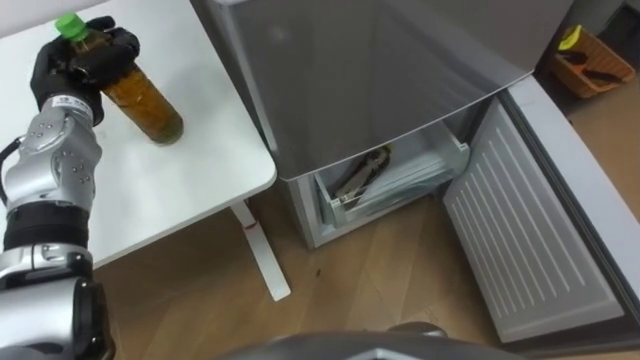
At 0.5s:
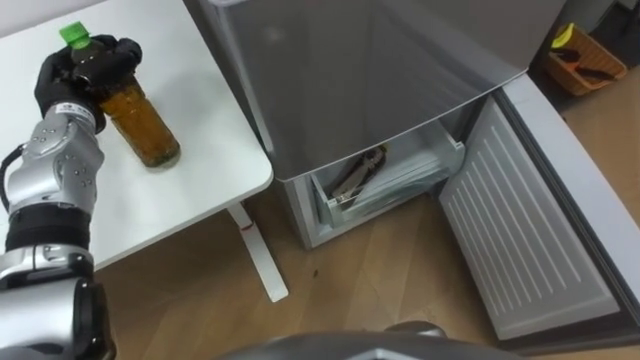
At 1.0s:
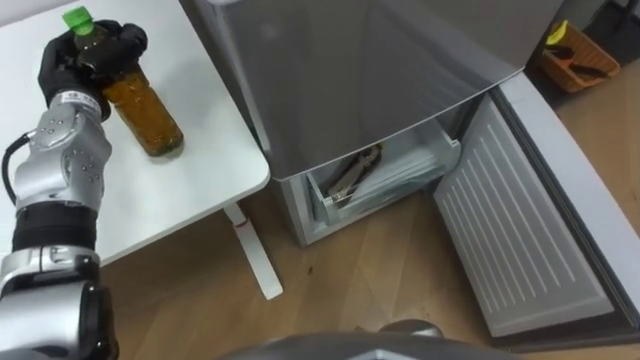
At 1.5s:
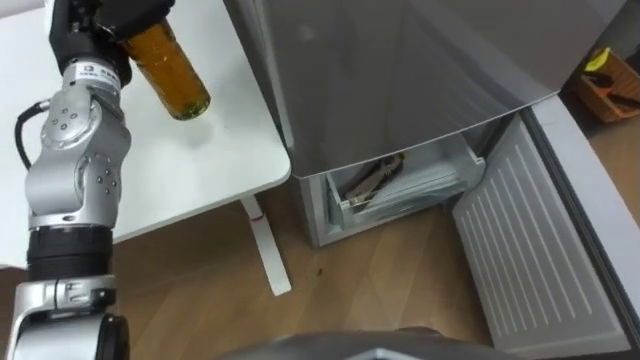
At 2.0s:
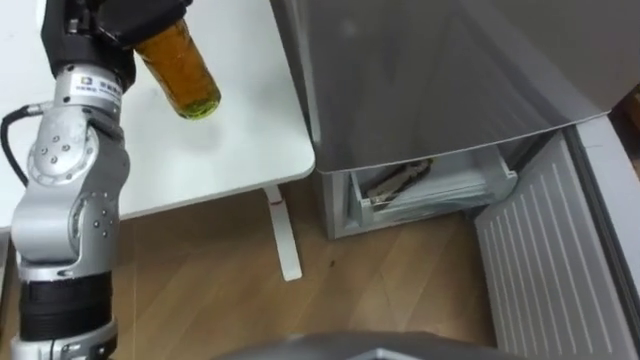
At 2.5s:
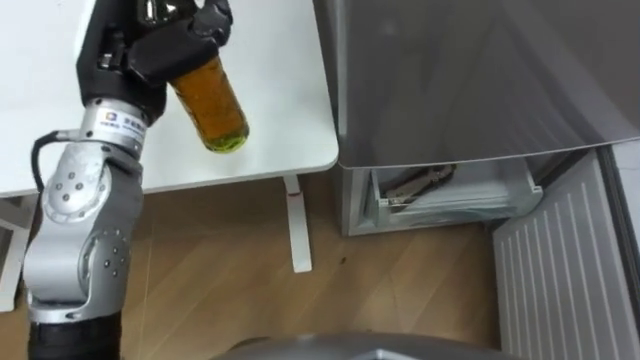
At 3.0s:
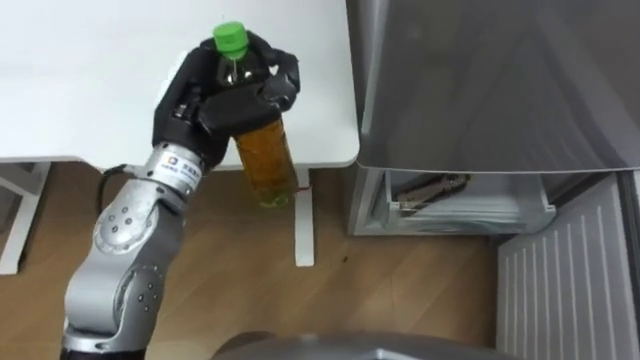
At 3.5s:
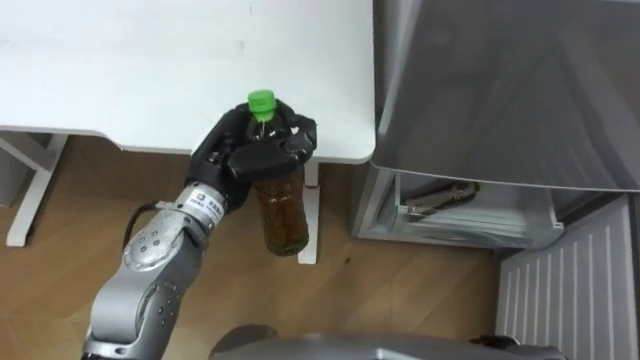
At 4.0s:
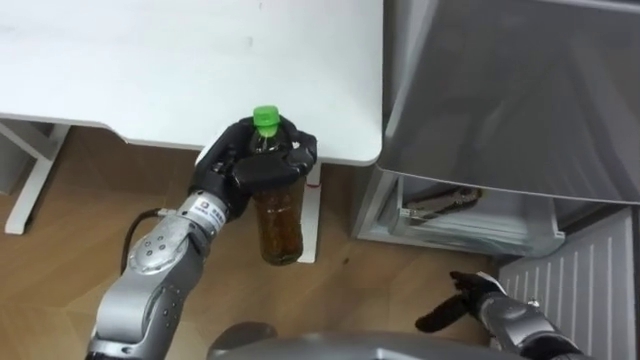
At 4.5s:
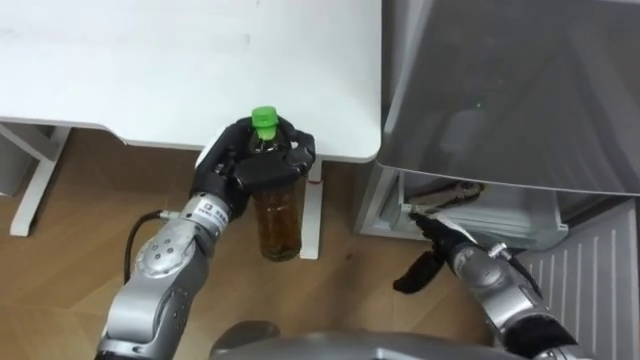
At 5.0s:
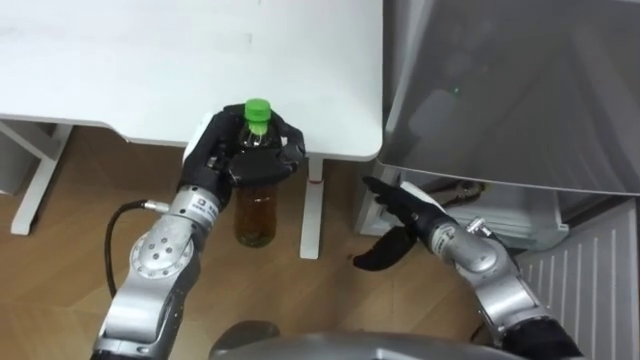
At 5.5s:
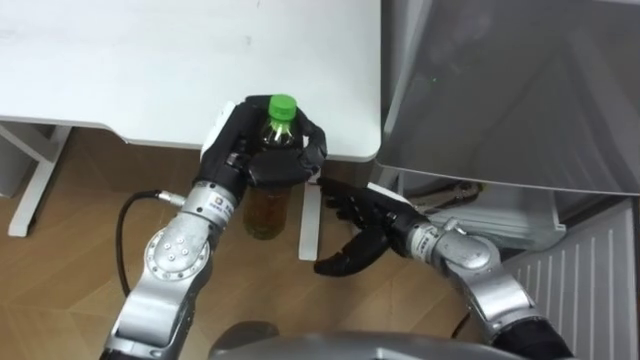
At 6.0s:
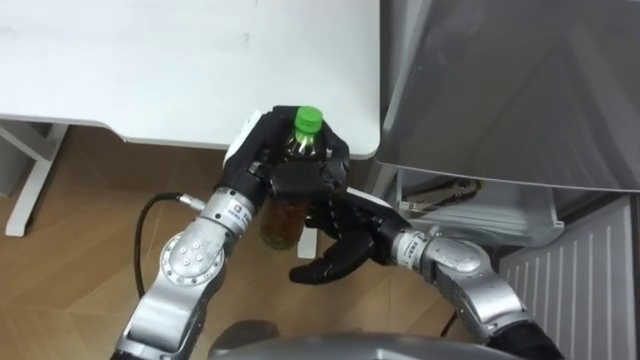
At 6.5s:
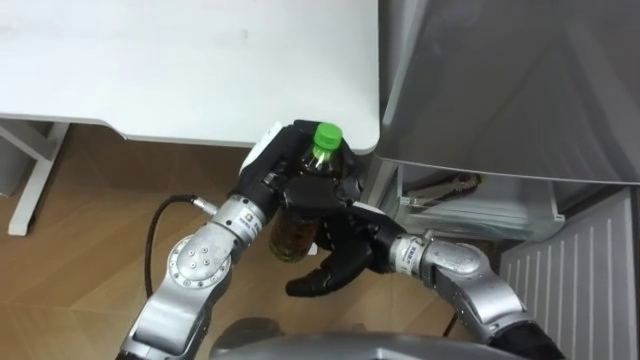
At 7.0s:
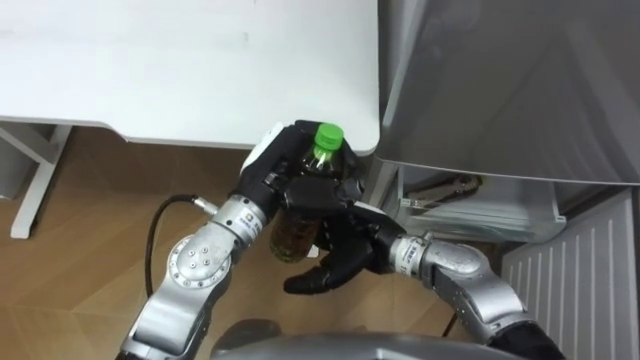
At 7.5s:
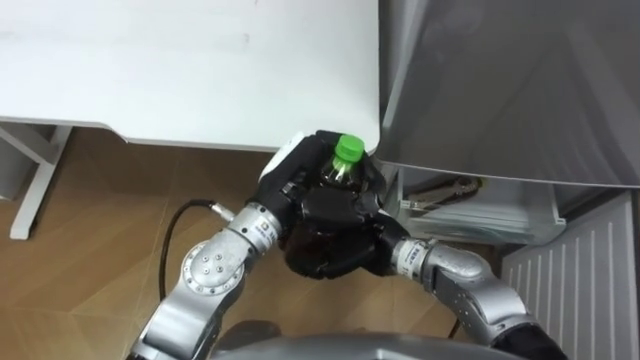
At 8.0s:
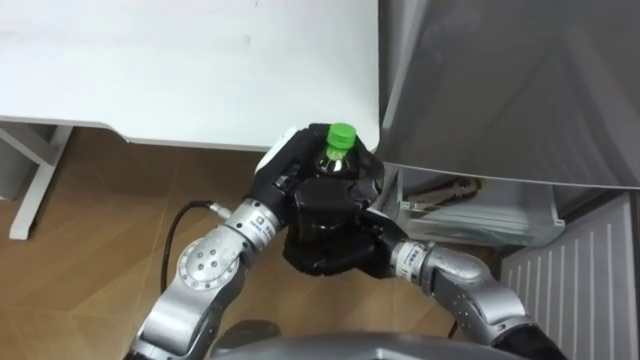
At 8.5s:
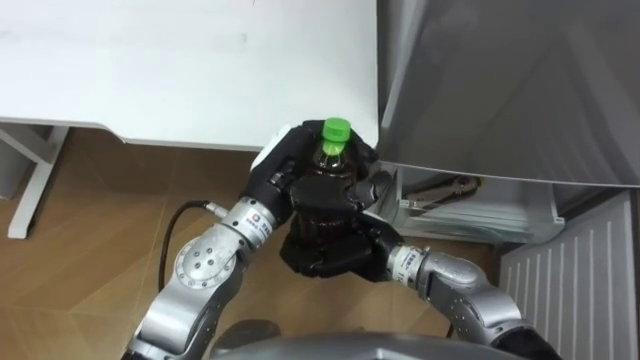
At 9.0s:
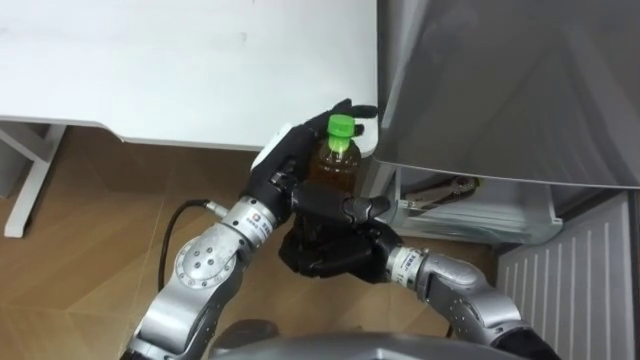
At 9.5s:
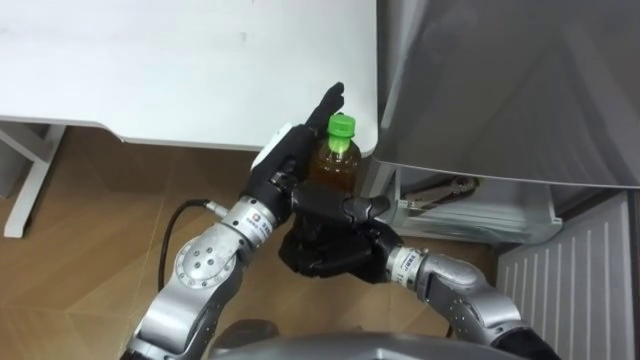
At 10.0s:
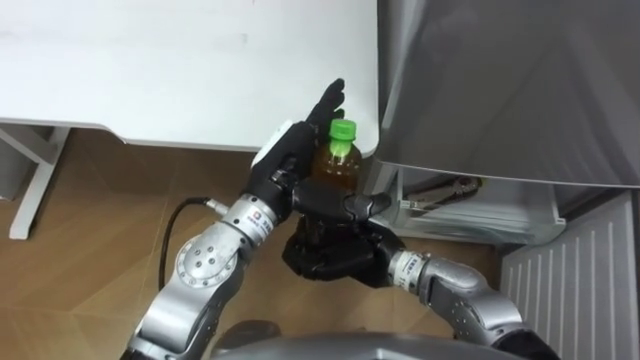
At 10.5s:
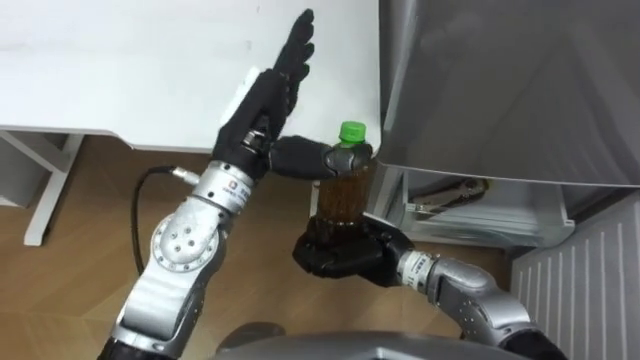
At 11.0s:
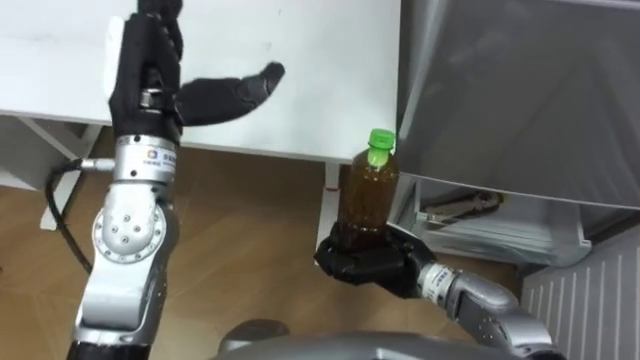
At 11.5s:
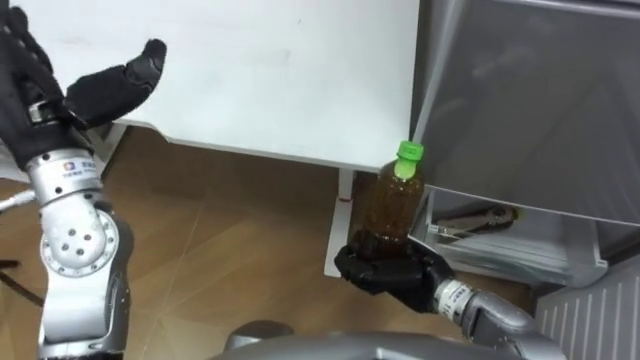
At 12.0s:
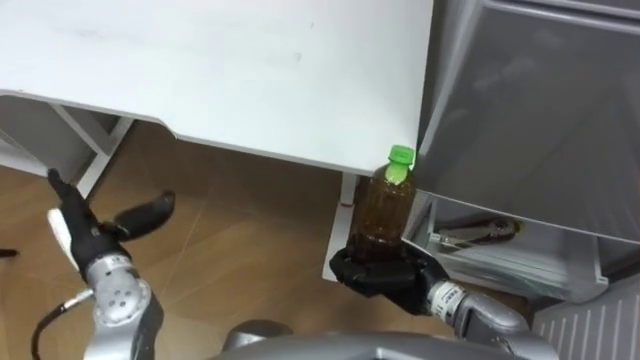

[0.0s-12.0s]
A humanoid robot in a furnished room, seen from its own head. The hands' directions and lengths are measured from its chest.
Task of the whole recording: Place the drink on the table on the bottom shelf of the refrigerator, then close the drawer and the refrigerator door.
0.0s to 2.0s: The left hand goes roughly 15 cm upward and to the right.
2.0s to 4.0s: The left hand travels downward, to the right and backward by some 20 cm.
4.0s to 6.0s: The right hand heads to the left, upward and forward, covering approximately 25 cm.
6.0s to 8.0s: The right hand closes up.
8.0s to 10.0s: The left hand opens up.
10.0s to 12.0s: The right hand travels to the right by some 5 cm, while the left hand goes some 25 cm to the left.

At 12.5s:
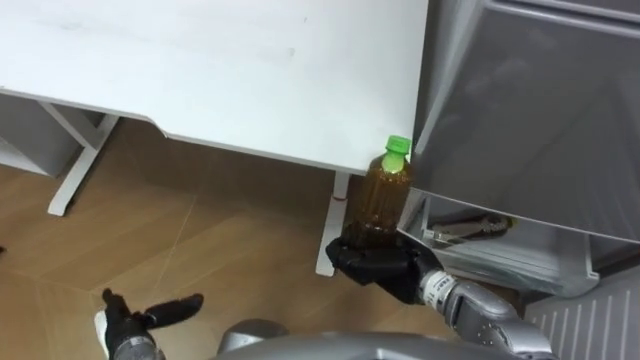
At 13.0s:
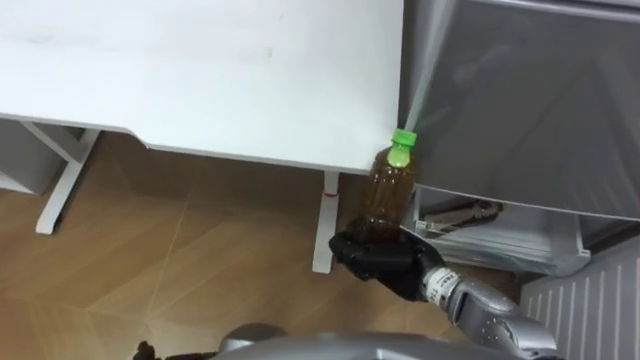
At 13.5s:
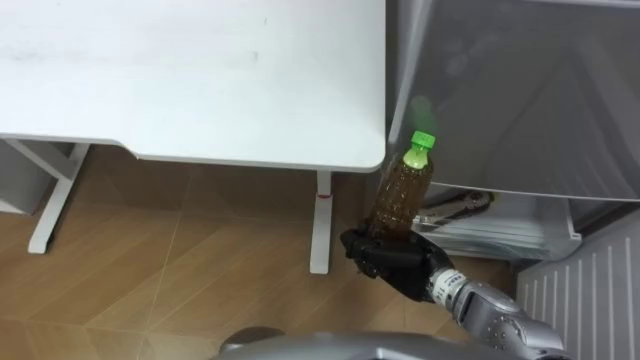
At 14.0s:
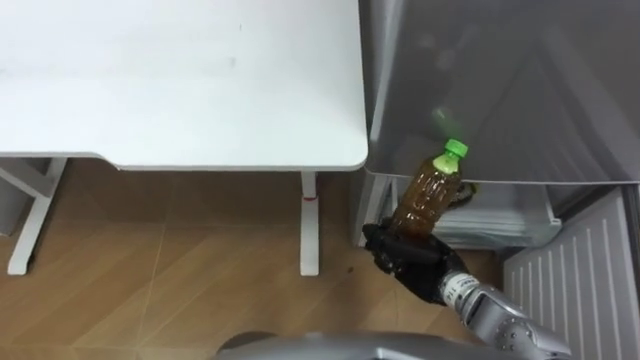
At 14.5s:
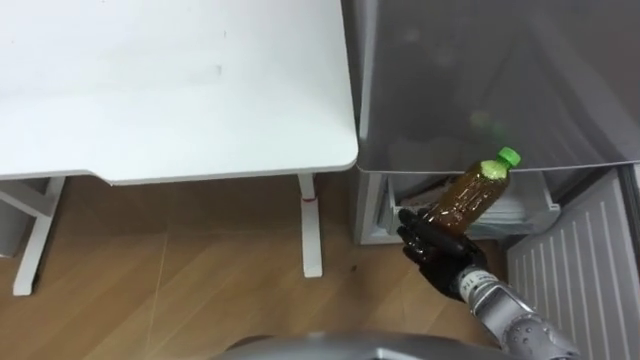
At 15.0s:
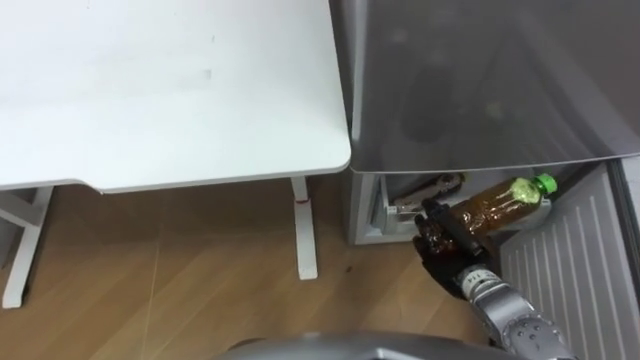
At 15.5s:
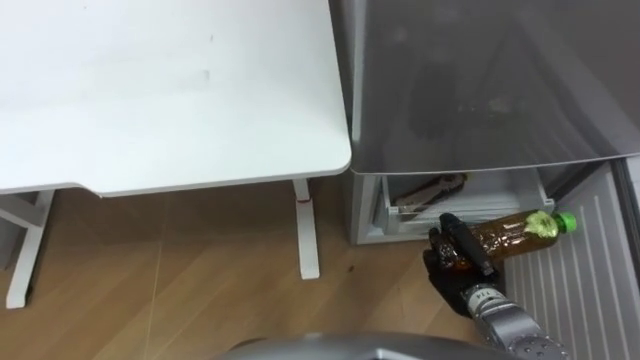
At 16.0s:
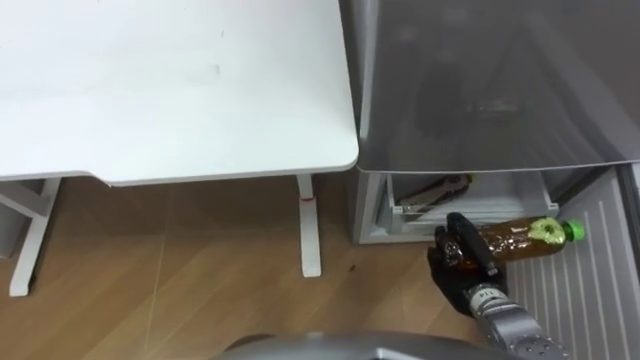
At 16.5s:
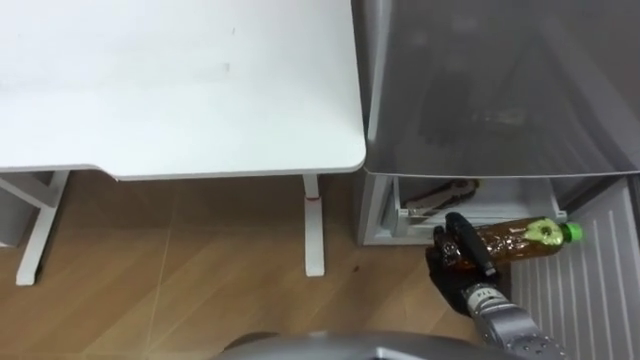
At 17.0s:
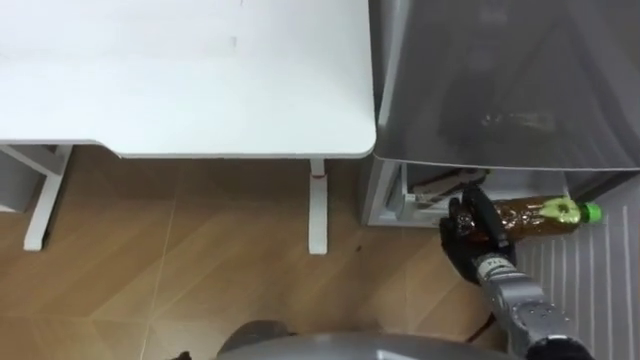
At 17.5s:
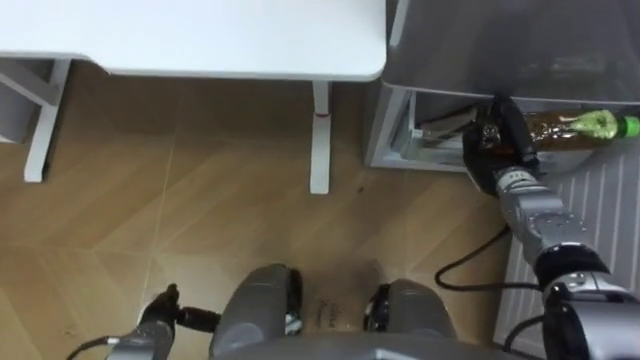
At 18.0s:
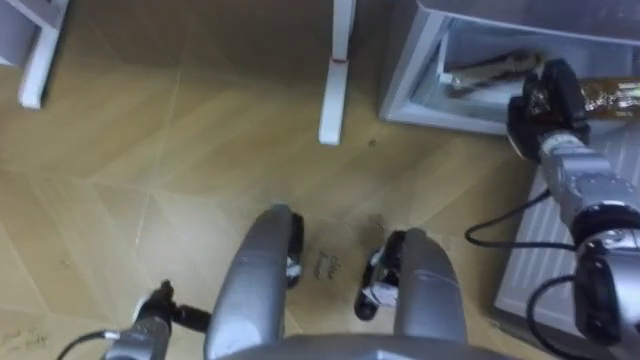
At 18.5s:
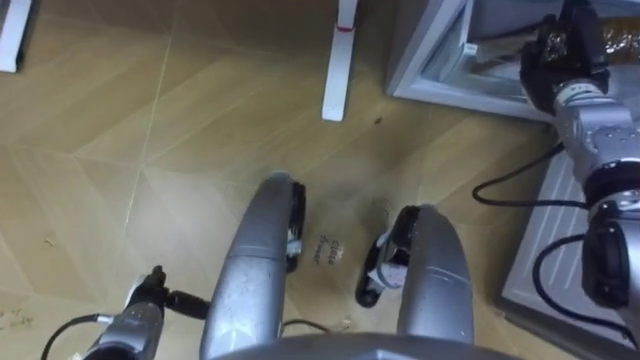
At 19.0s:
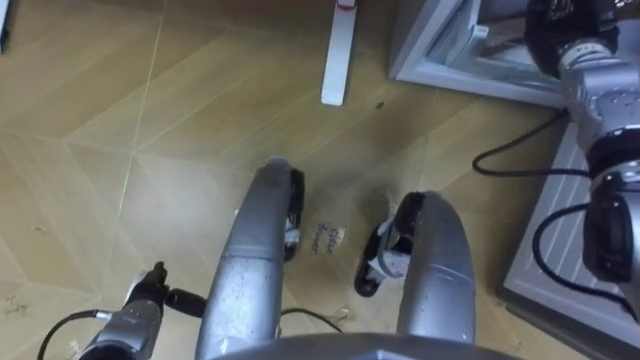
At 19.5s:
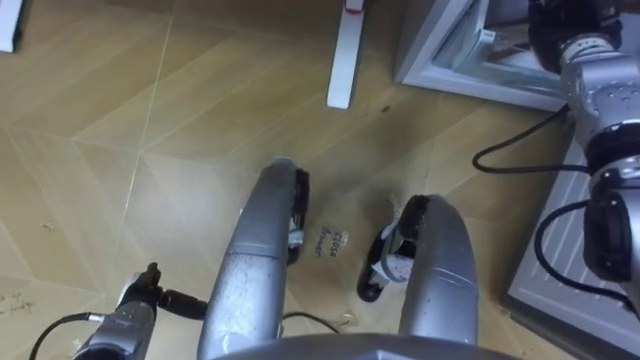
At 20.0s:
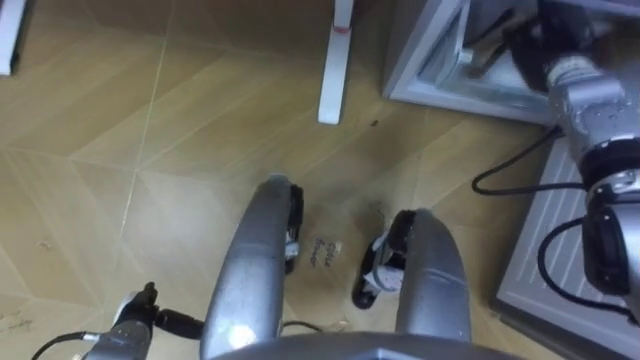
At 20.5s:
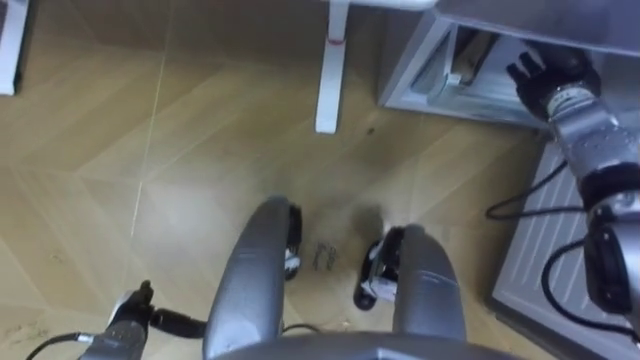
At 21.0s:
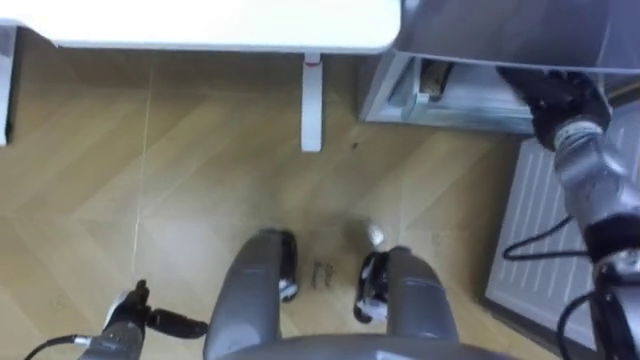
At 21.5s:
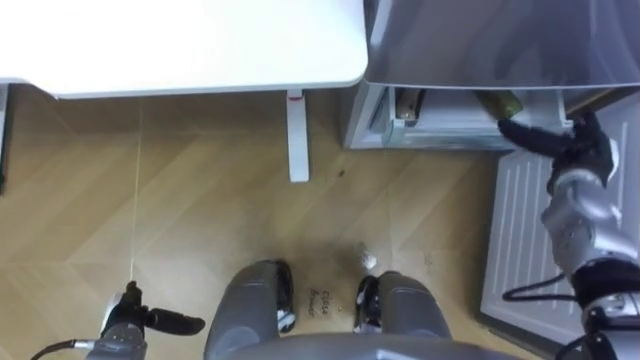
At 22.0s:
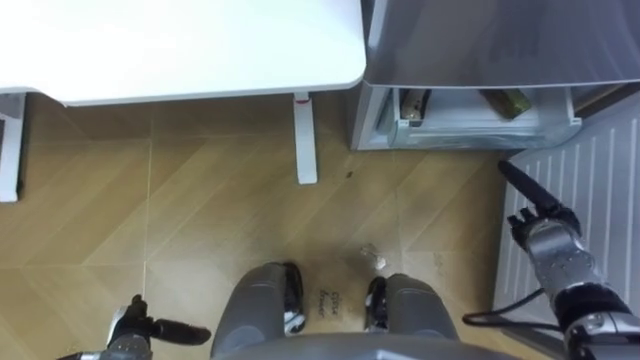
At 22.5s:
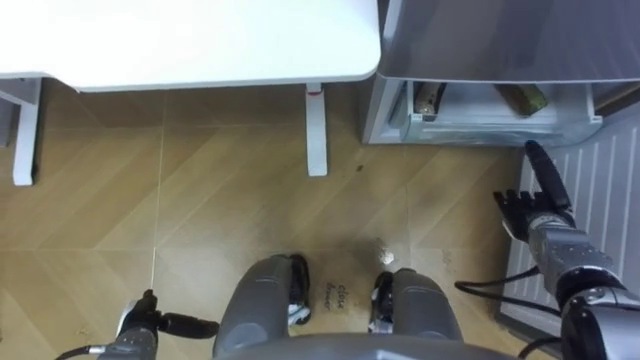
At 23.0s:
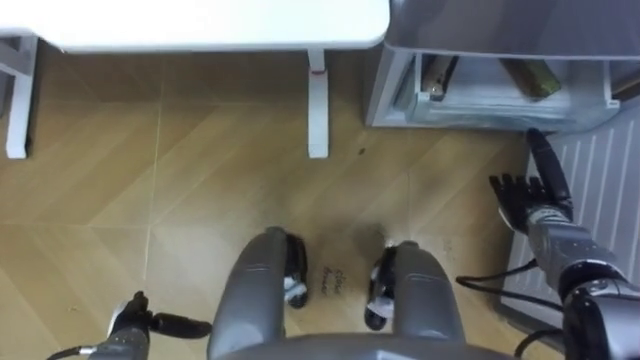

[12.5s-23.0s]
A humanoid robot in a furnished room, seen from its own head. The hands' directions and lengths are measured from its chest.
Task of the whole recording: Place the drink on the table on the bottom shelf of the refrigerator, then close the drawer and the refrigerator door.
12.5s to 14.5s: The right hand is displaced to the right by some 10 cm.
16.5s to 19.0s: The right hand goes roughly 35 cm forward and upward.
19.0s to 21.0s: The right hand heads backward and downward, covering roughly 10 cm, and opens up.
21.0s to 23.0s: The right hand heads downward and backward, covering roughly 15 cm.
